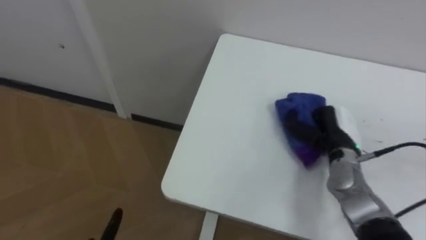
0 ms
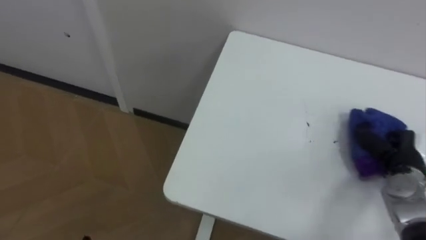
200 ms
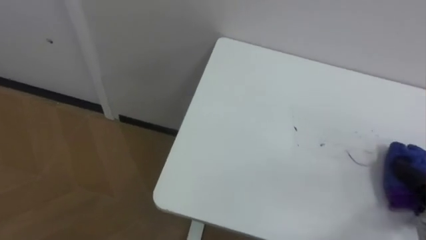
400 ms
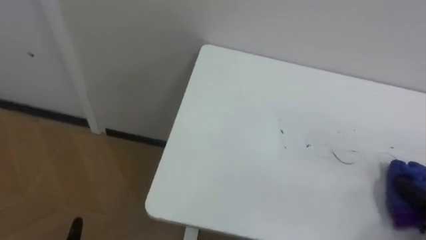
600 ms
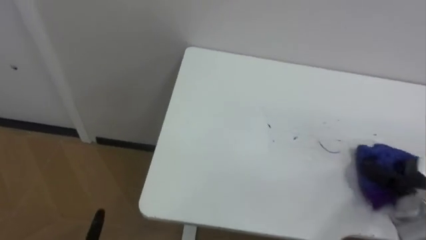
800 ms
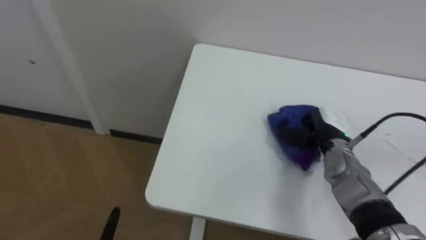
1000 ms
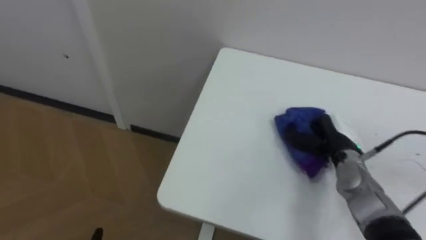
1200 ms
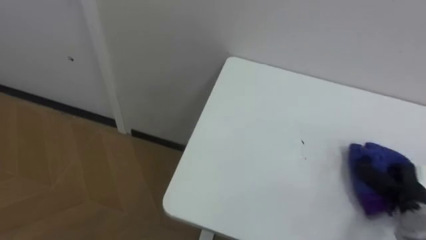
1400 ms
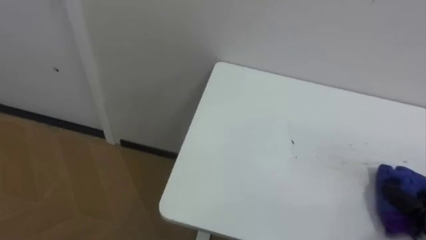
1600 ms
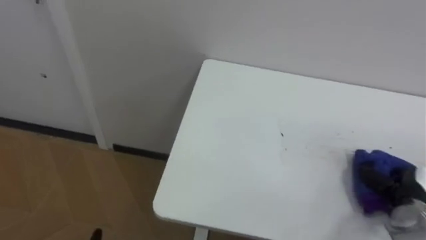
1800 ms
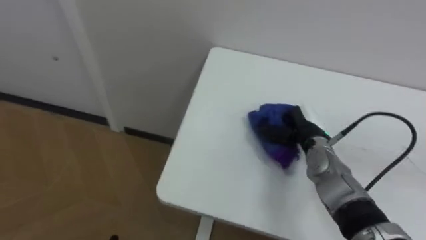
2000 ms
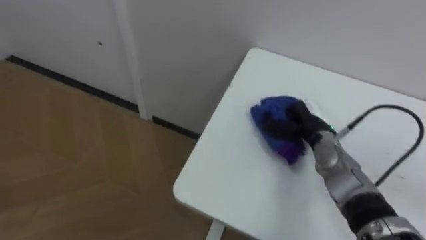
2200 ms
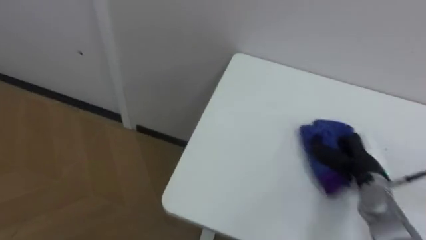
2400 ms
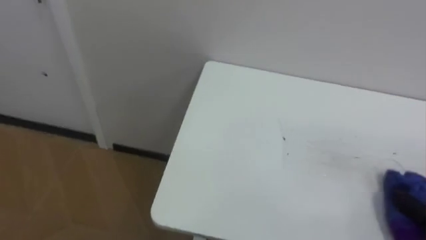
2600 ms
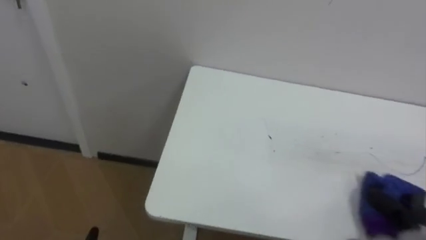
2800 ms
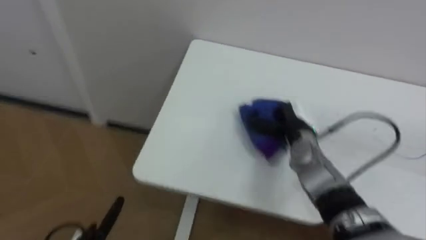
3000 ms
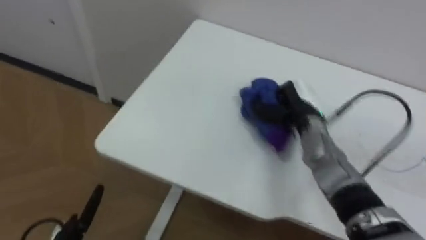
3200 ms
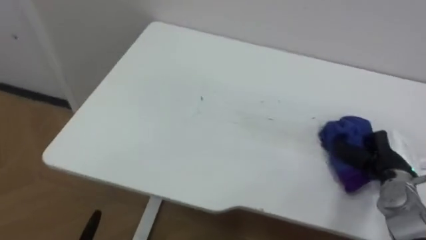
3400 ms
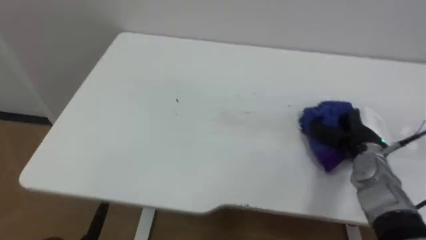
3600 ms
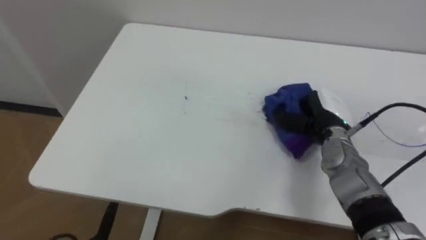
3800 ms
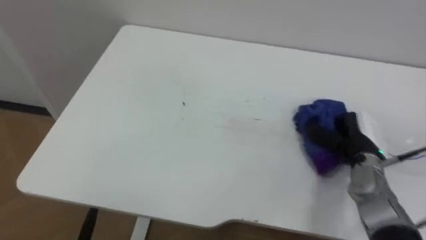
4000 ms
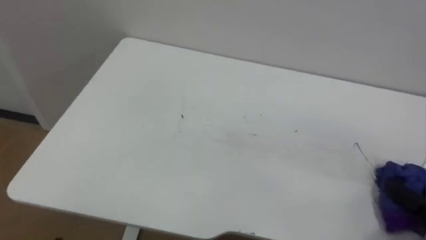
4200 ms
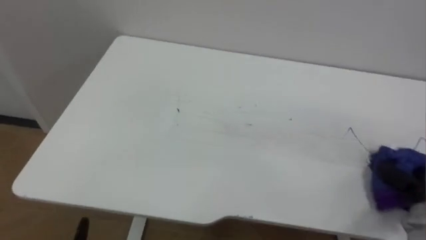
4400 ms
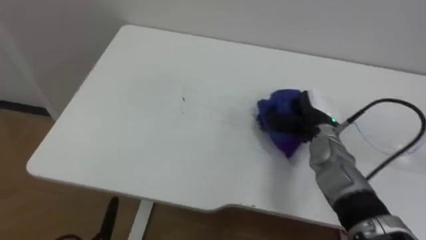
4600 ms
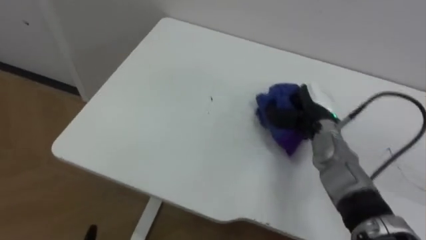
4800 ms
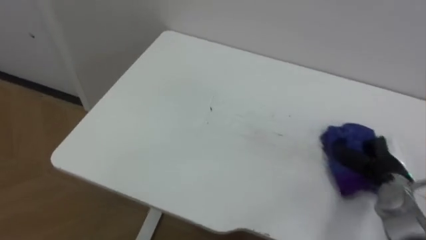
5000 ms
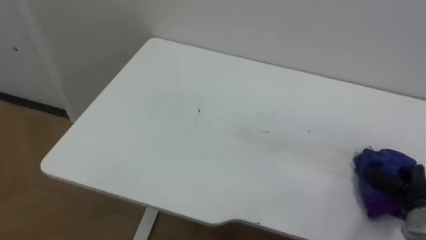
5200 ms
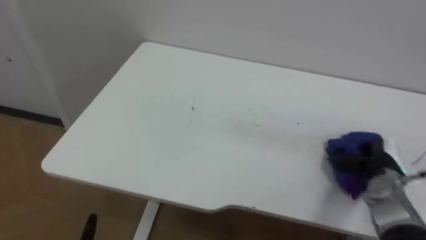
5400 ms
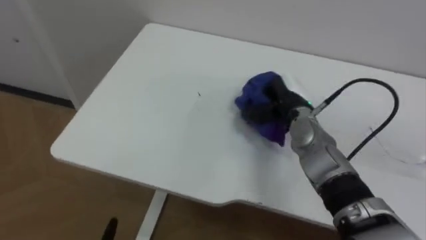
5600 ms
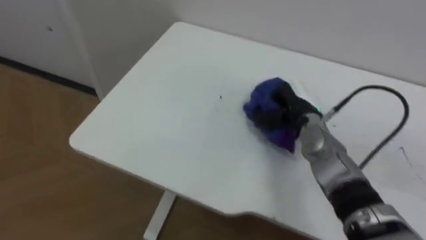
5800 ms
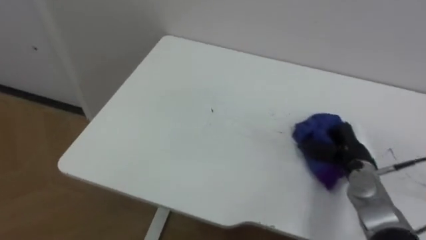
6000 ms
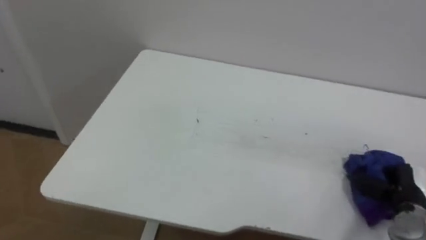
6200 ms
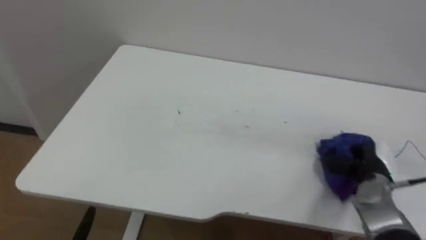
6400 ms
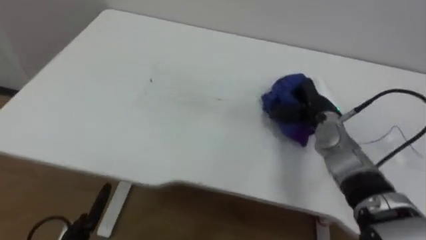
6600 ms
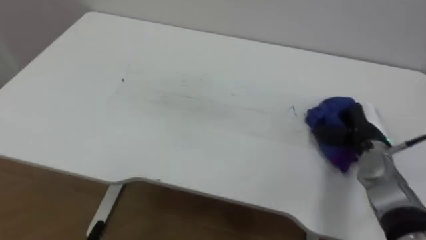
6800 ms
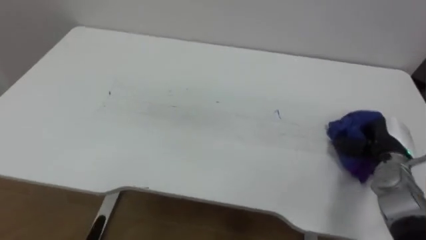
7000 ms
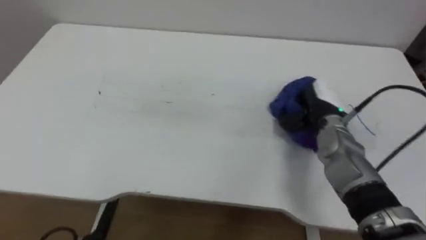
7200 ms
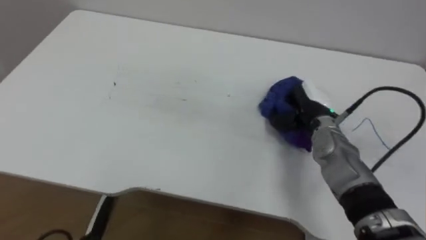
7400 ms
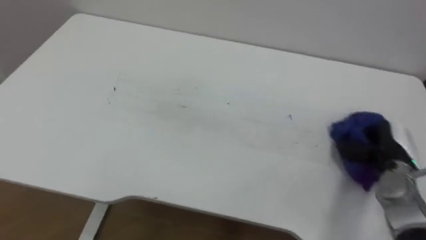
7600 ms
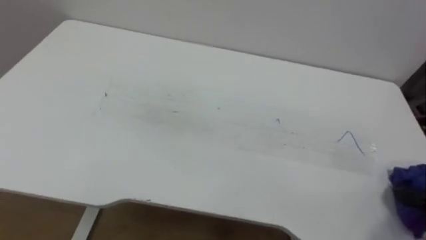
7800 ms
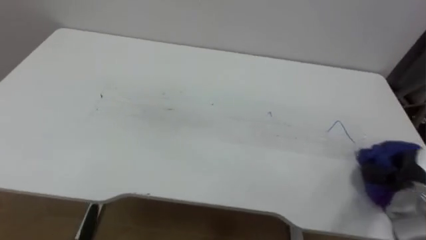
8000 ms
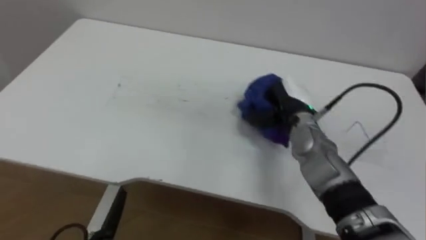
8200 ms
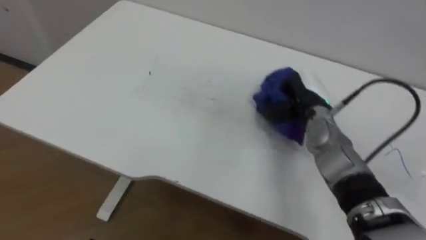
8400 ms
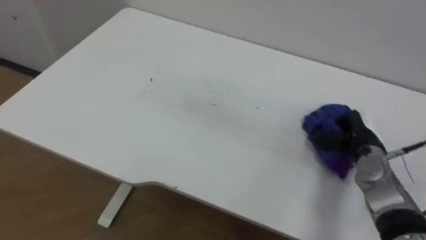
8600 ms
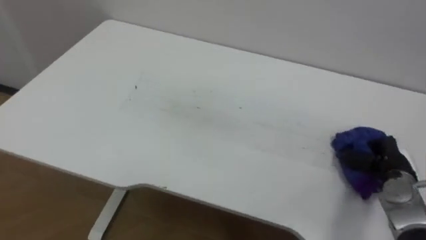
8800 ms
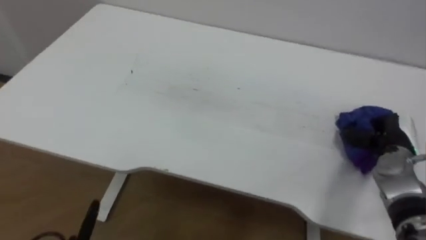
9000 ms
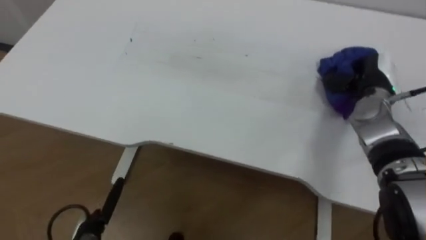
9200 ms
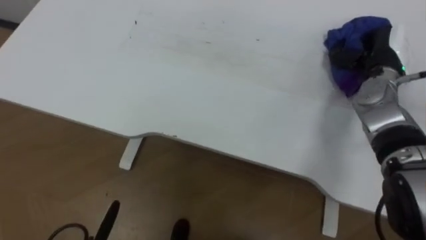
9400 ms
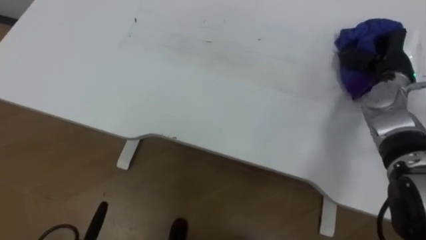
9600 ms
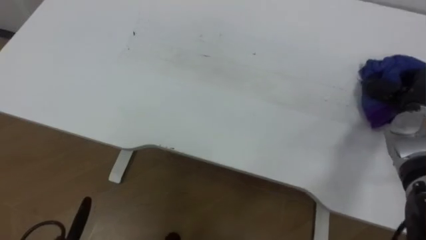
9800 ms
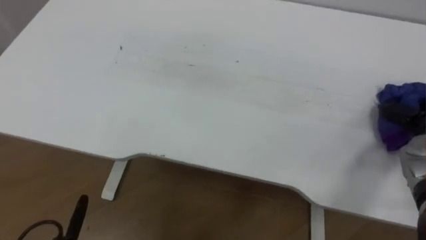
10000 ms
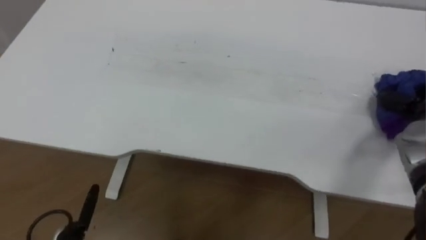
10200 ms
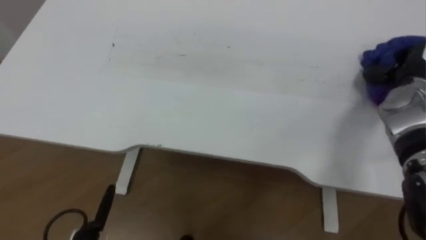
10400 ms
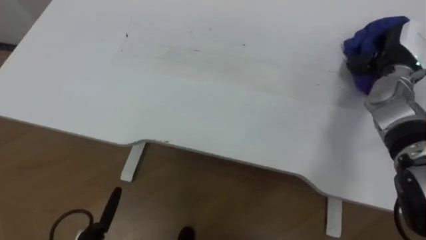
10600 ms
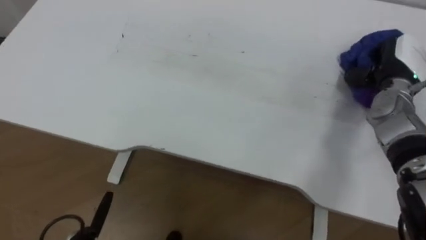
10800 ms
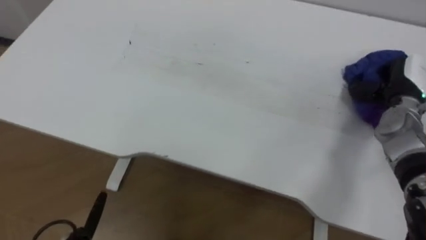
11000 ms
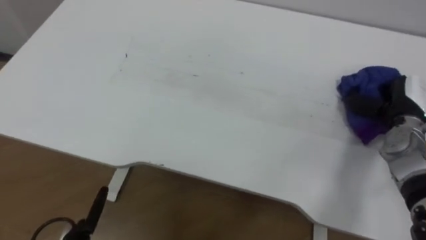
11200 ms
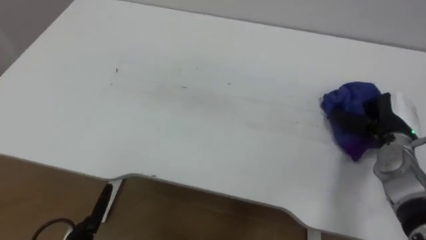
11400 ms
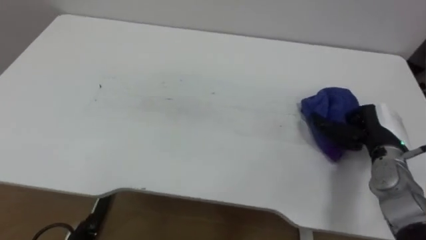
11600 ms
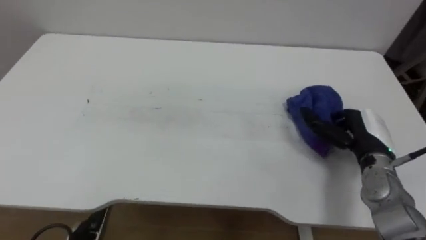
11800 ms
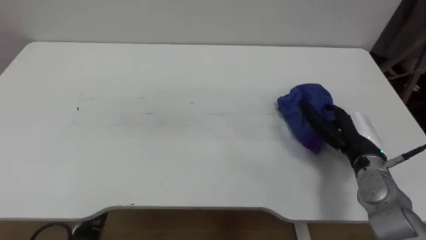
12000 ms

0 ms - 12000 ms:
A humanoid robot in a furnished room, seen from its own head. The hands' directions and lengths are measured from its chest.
Task of the whole recording: Wipe the blue pen marks off the table with the rag.
6000 ms - 7600 ms: The right hand moves left and right over approximately 20 cm, changing direction 4 times.
10400 ms - 12000 ms: The right hand is displaced backward, downward and to the left by approximately 15 cm, and opens its fingers.

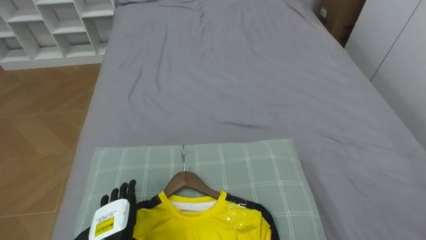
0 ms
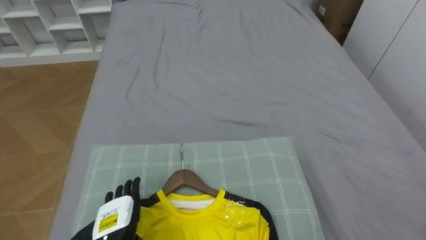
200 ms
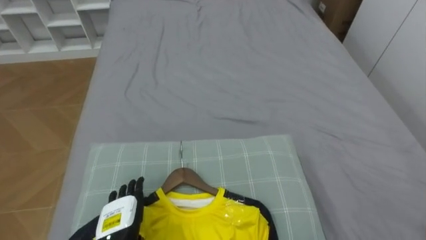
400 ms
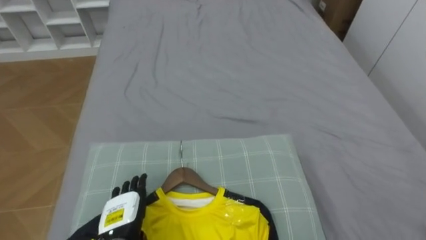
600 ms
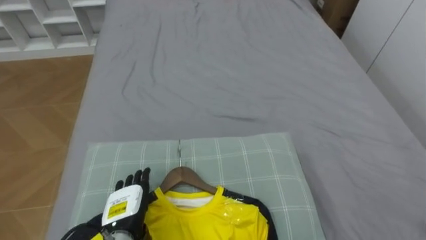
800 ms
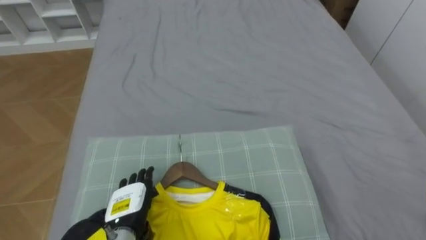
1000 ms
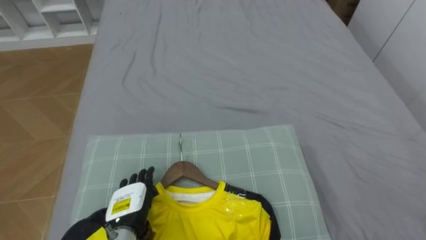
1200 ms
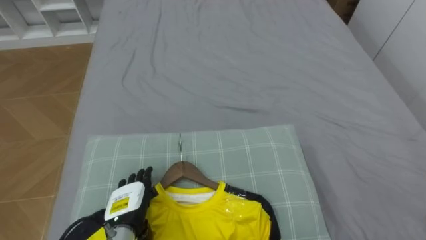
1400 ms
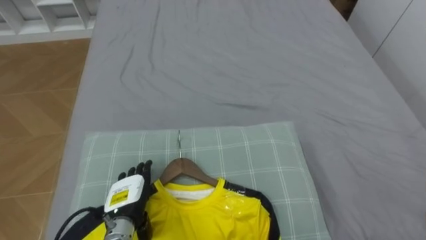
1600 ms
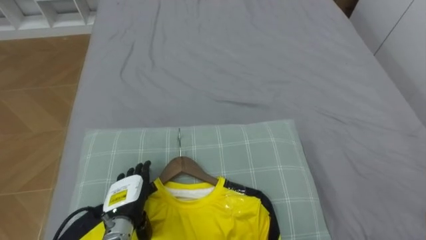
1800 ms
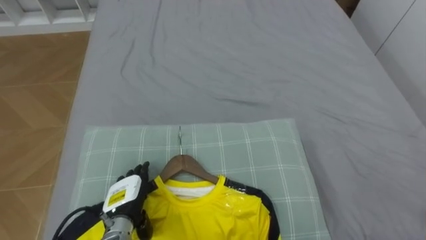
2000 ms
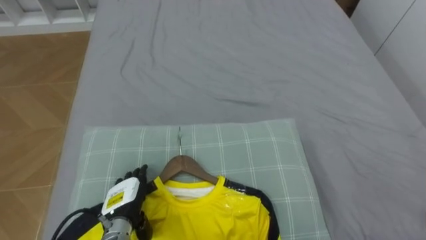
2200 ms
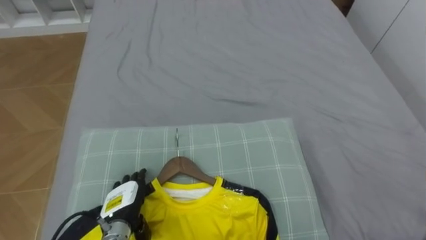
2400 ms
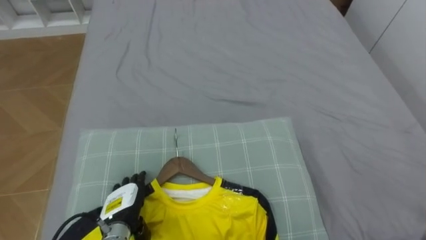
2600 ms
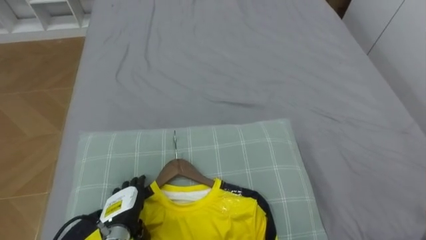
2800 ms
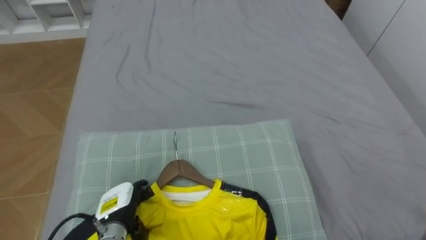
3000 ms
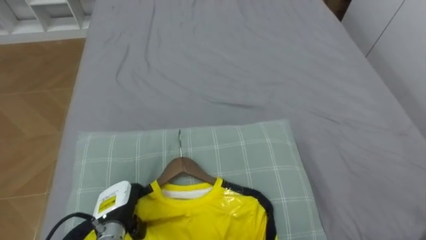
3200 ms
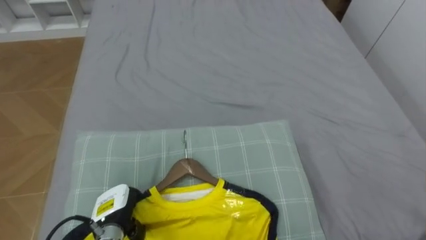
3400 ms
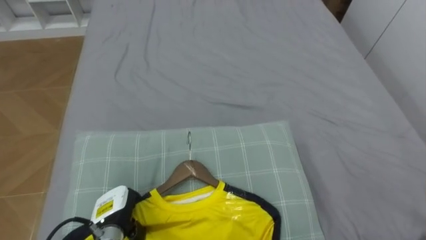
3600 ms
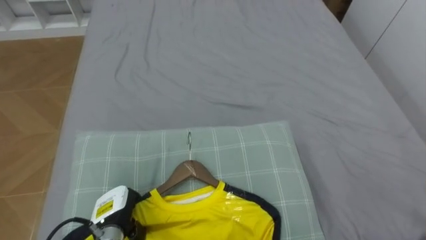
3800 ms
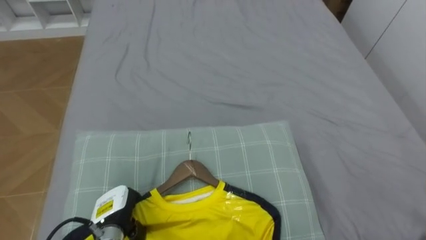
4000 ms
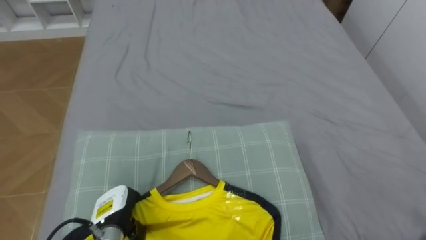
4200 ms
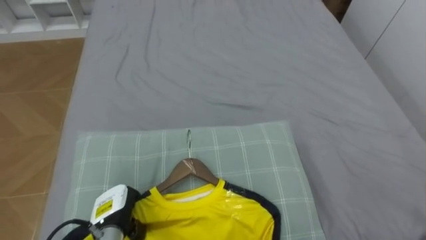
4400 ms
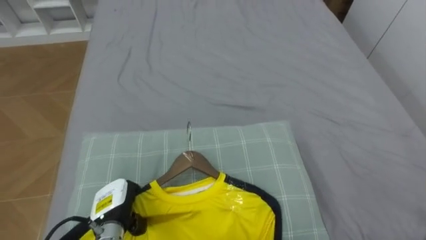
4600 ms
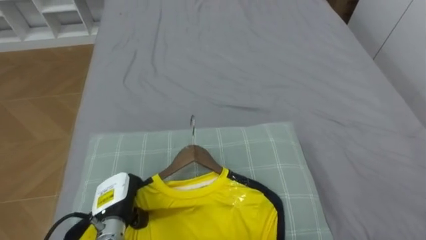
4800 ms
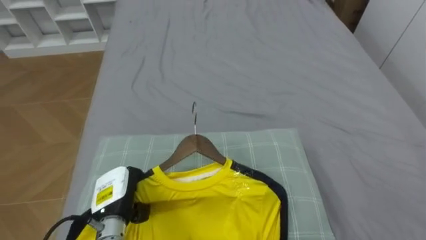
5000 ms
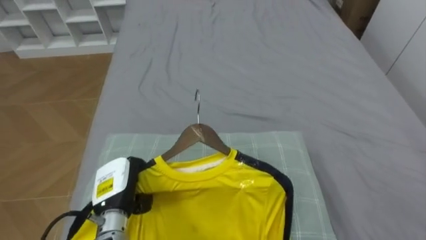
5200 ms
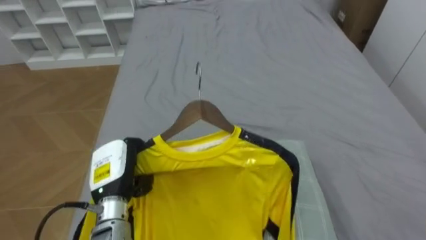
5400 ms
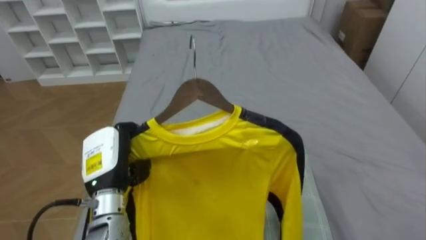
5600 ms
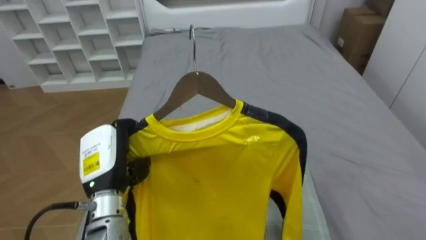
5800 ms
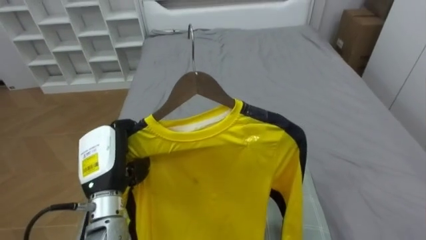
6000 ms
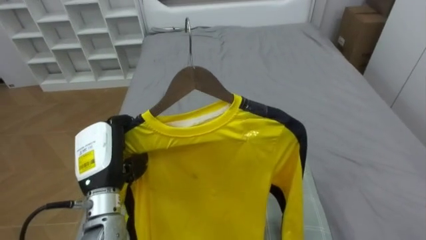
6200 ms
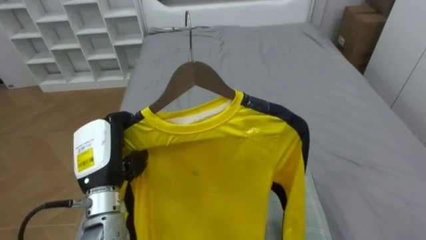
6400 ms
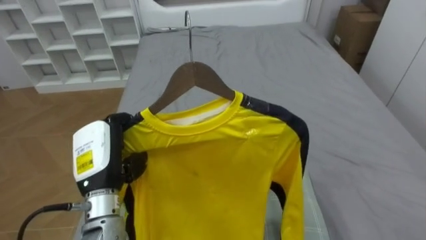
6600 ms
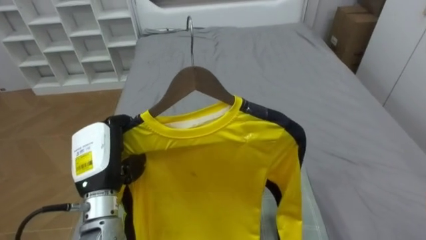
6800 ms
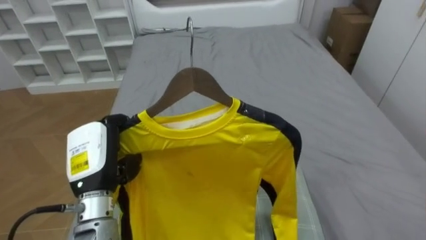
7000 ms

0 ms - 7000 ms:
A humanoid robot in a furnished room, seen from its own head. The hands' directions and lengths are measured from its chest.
Task of the whole recording: Pick up the yellow shirt on the bed and hang it on the clothes rack on the right.
2800 ms - 4200 ms: The left hand closes up.
4200 ms - 5600 ms: The left hand travels upward by approximately 15 cm.
